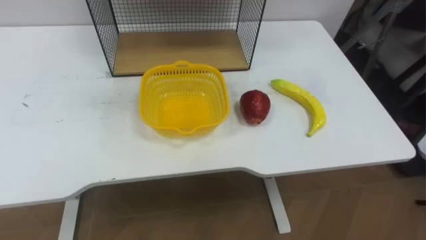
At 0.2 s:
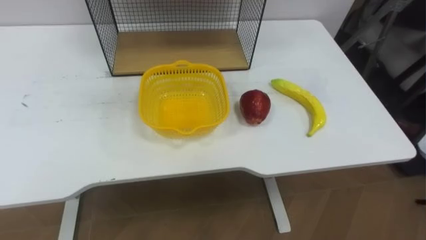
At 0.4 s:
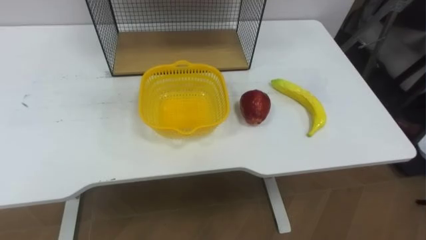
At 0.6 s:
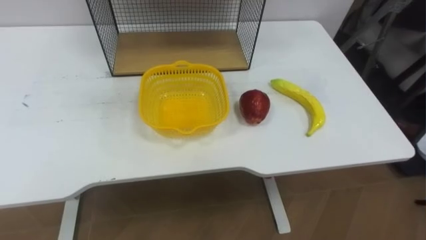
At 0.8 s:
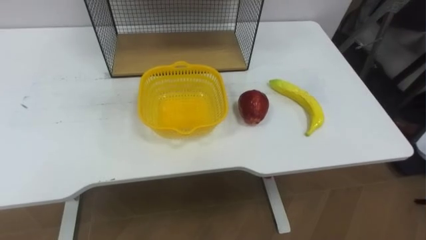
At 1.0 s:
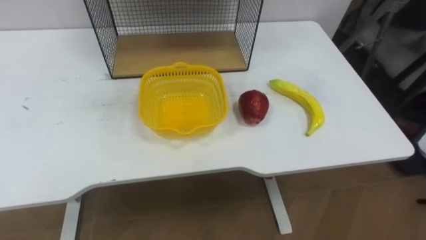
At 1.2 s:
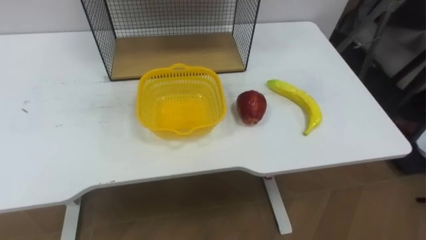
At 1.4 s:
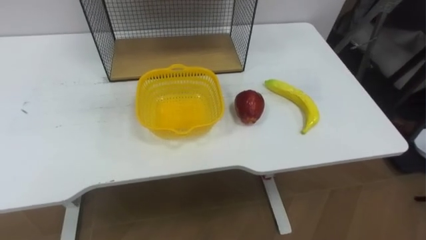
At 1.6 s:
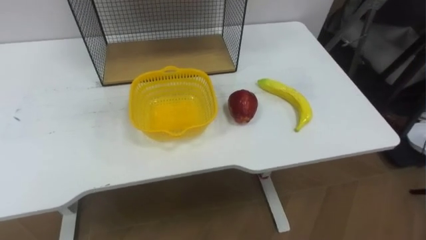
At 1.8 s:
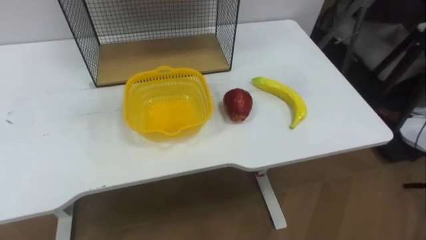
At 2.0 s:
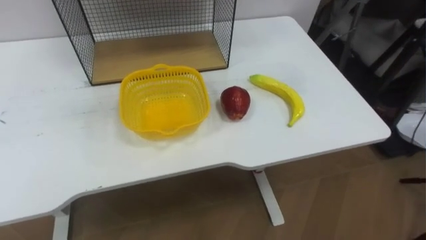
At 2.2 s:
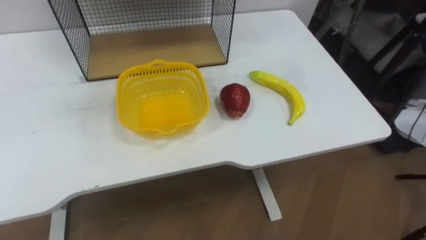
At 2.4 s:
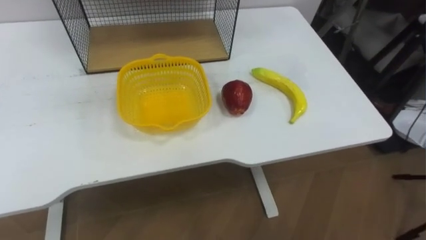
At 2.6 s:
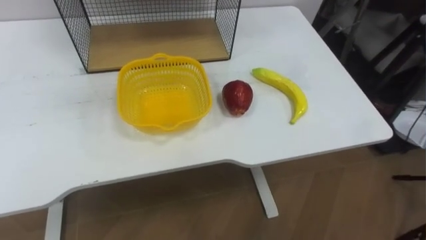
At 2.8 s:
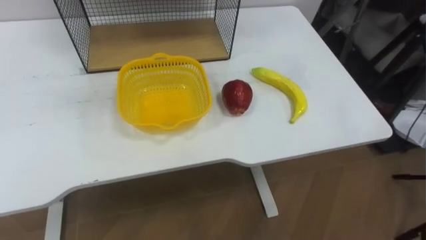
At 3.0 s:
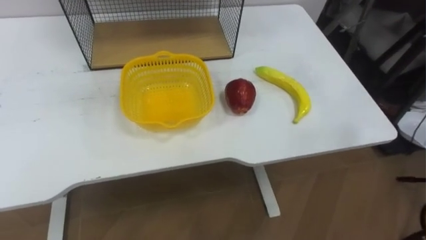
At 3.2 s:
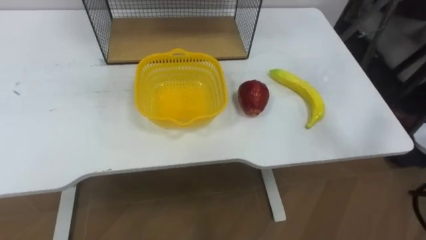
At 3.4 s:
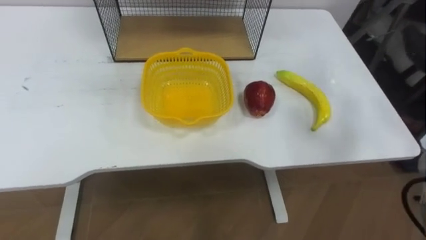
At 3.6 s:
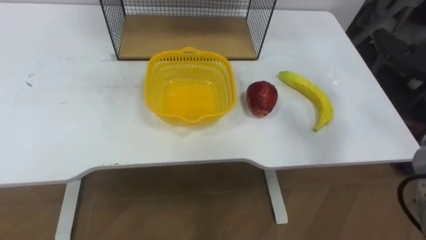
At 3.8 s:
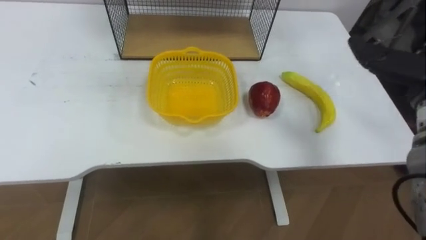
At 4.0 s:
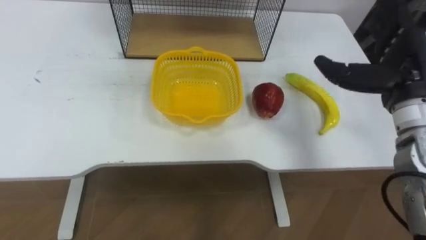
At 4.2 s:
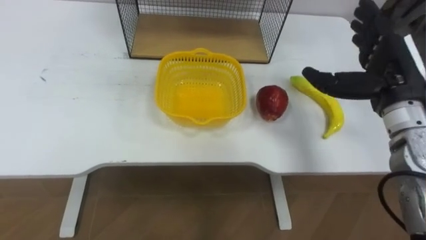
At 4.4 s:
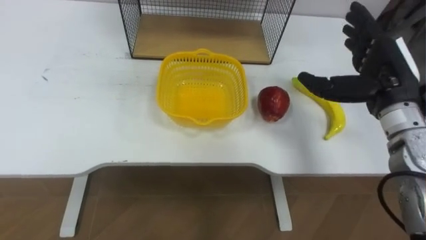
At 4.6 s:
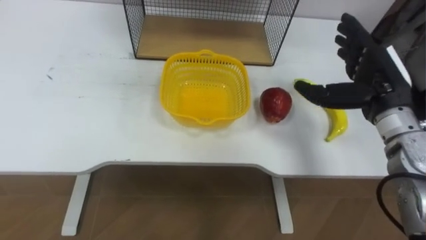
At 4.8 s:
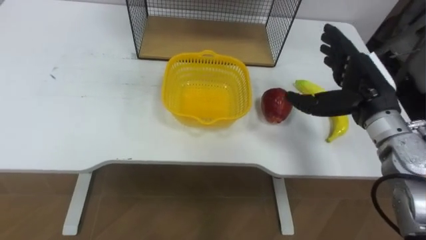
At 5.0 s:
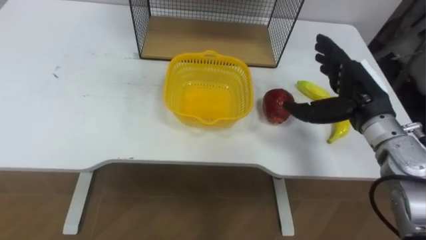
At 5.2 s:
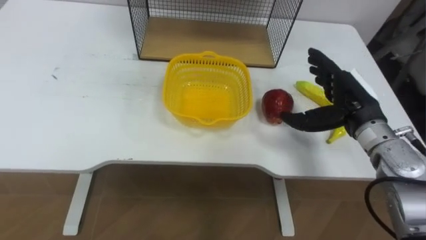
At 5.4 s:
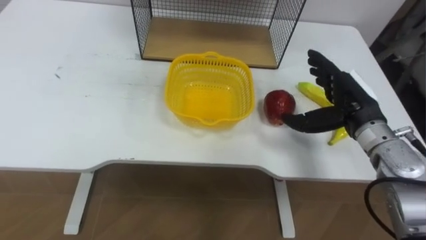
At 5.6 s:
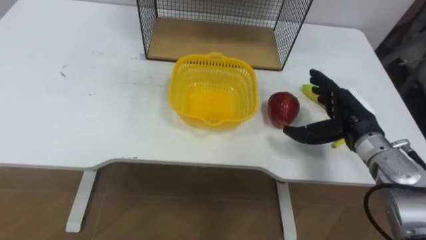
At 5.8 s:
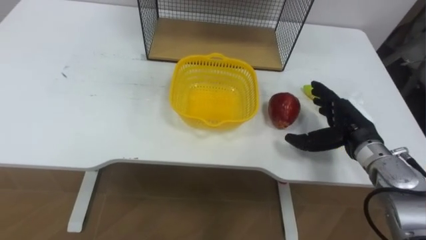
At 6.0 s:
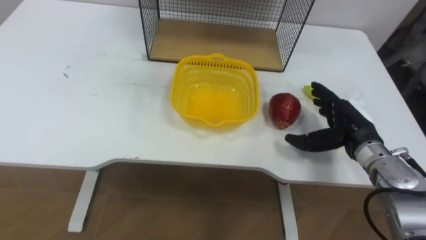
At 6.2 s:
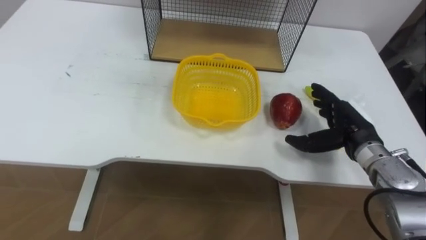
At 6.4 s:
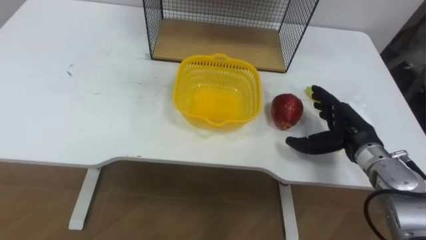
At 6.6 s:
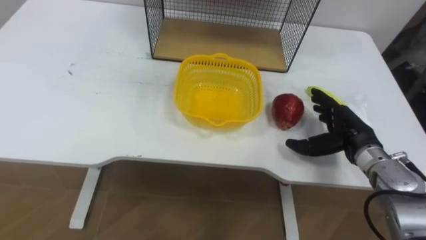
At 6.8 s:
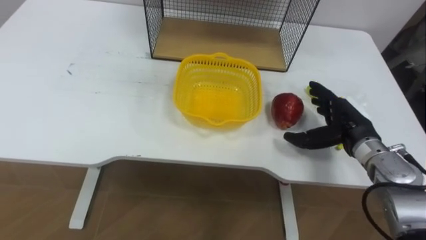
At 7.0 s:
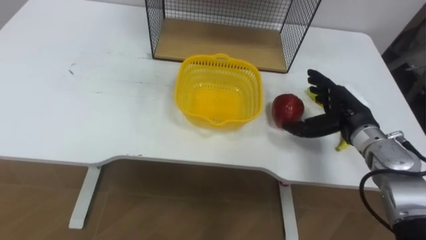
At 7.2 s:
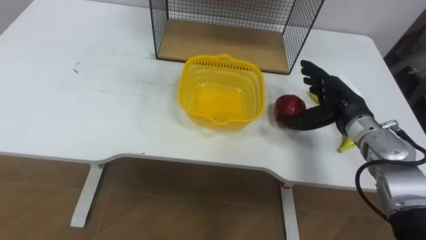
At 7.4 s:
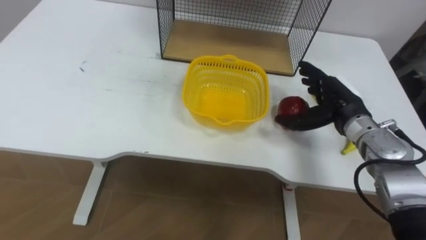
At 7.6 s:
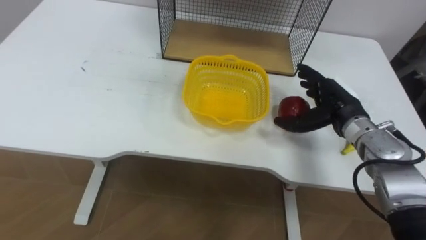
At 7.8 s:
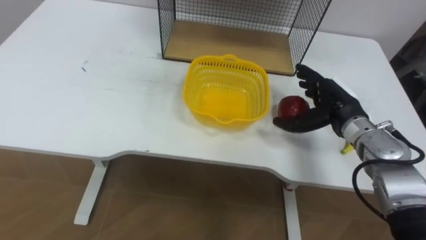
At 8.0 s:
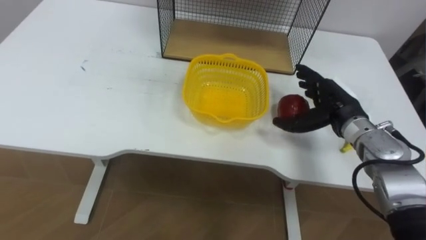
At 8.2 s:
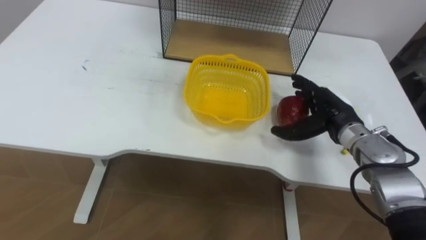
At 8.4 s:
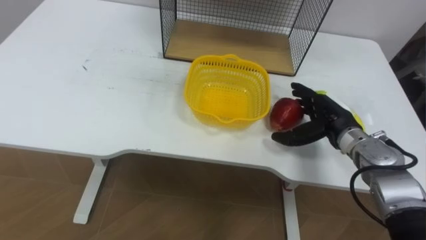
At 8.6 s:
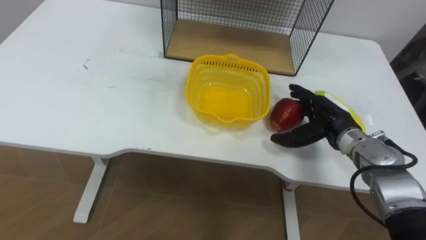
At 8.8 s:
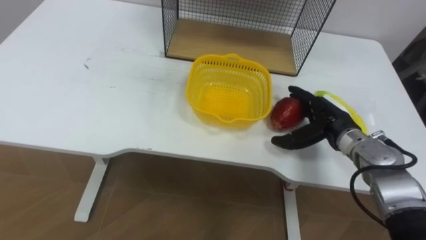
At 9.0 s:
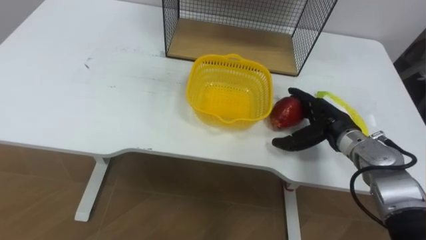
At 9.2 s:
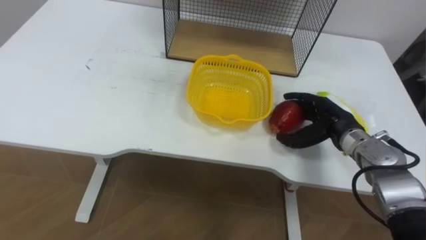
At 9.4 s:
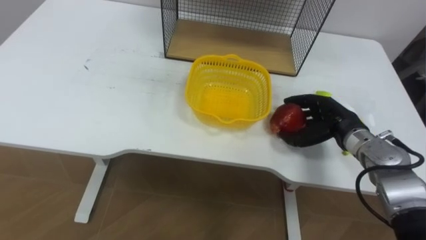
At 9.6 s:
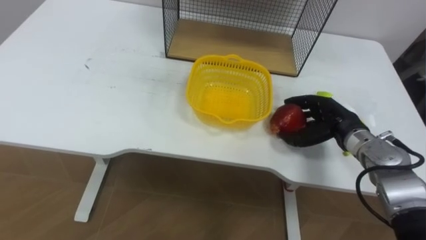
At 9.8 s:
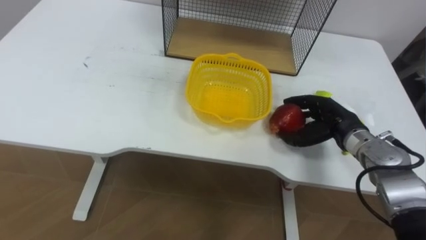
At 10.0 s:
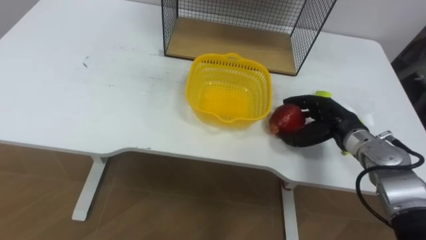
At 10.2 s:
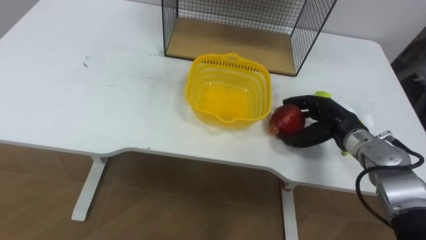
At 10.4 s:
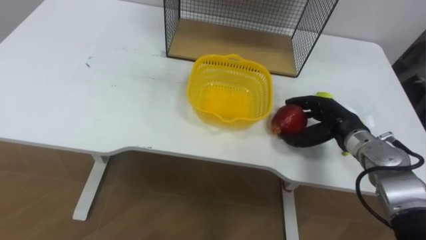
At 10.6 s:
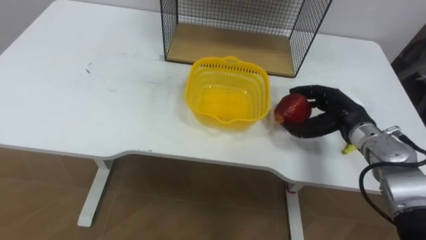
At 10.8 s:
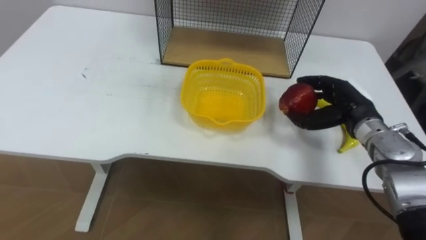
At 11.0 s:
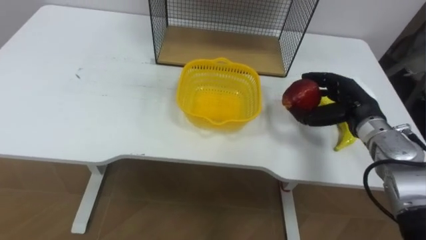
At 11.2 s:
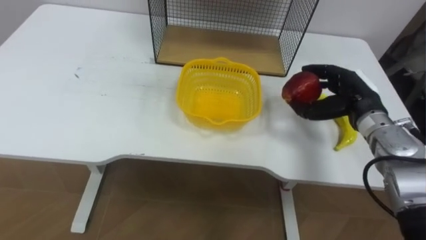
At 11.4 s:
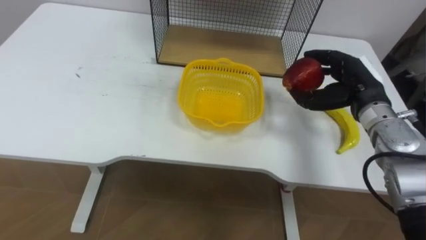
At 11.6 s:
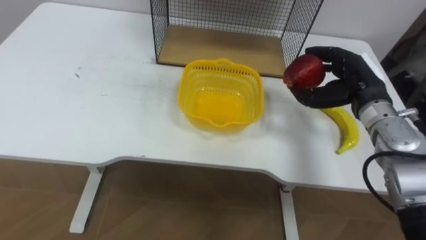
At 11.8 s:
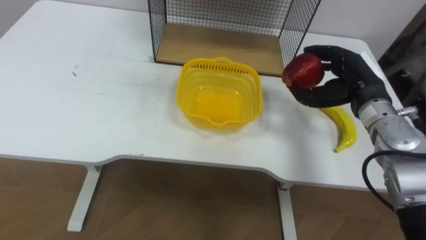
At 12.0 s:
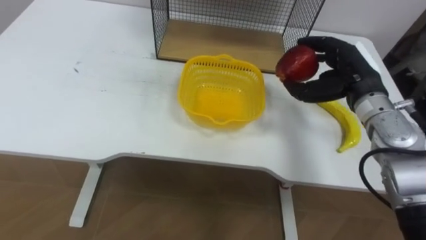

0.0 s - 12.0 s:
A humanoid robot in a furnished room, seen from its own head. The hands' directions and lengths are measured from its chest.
Task of the whole recording: Put the fruit on the table into the basket, then place the basket on the shelf.
4.4 s - 6.0 s: The right hand travels downward by approximately 10 cm.
6.0 s - 7.6 s: The right hand ends up some 5 cm from where it was.
9.0 s - 10.4 s: The right hand closes up.
10.4 s - 12.0 s: The right hand is displaced upward by roughly 10 cm.

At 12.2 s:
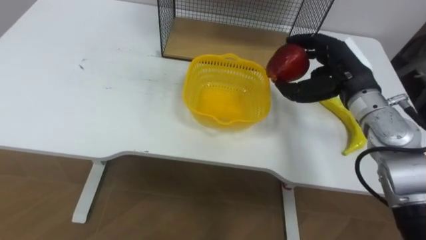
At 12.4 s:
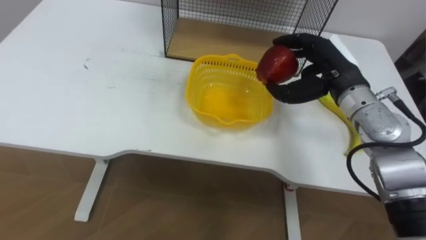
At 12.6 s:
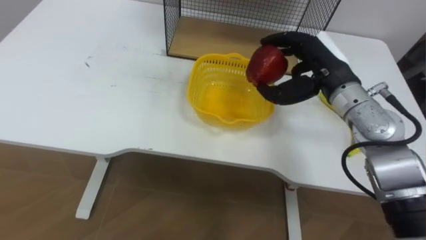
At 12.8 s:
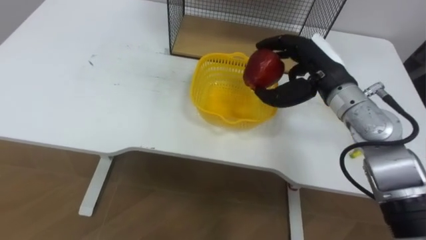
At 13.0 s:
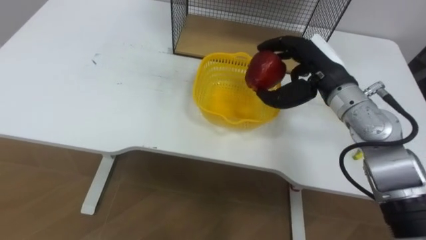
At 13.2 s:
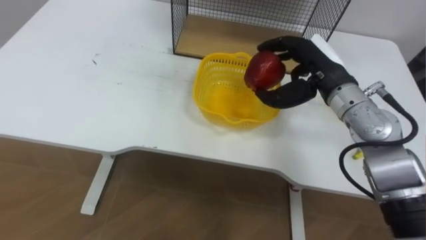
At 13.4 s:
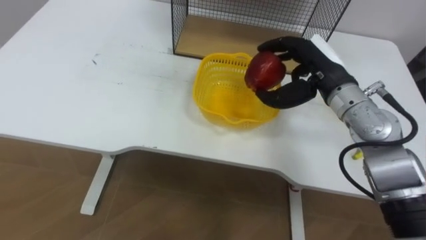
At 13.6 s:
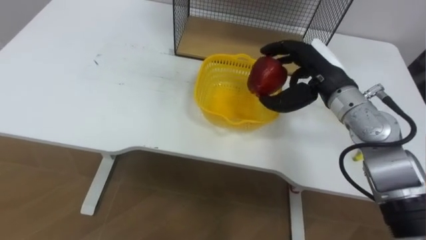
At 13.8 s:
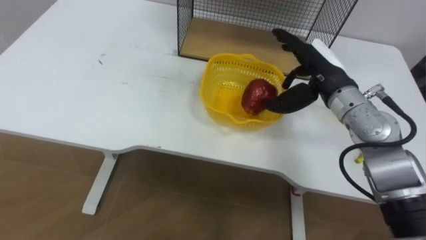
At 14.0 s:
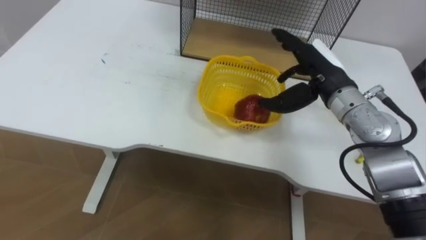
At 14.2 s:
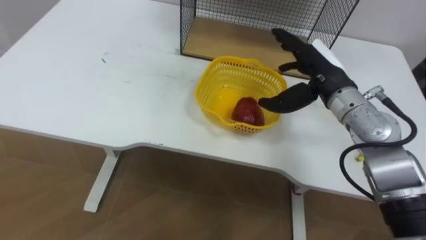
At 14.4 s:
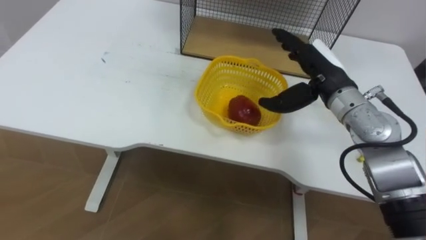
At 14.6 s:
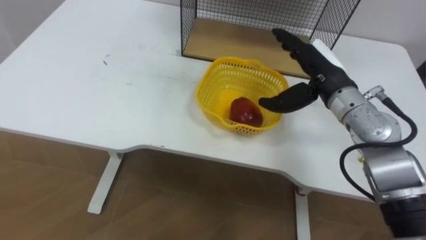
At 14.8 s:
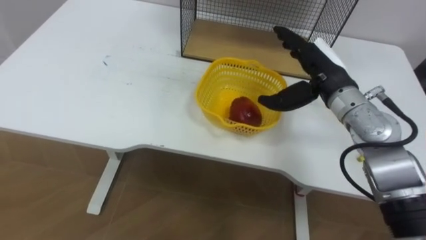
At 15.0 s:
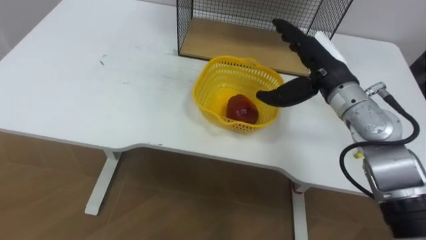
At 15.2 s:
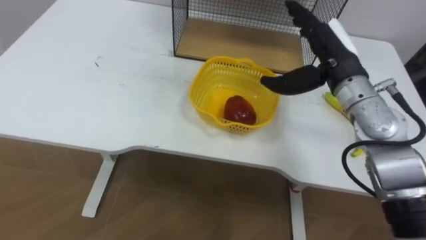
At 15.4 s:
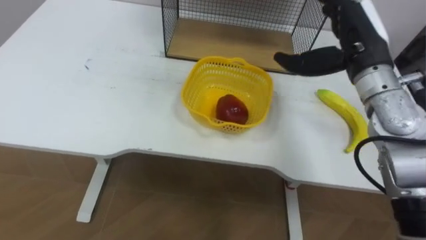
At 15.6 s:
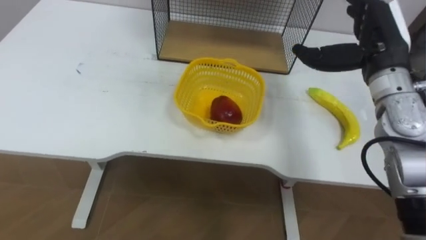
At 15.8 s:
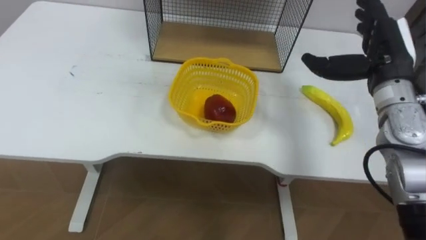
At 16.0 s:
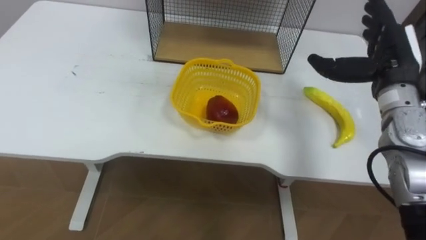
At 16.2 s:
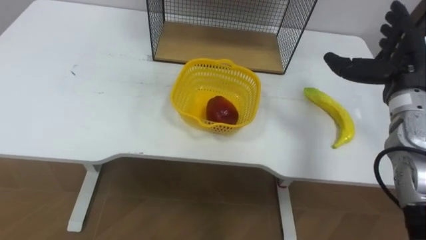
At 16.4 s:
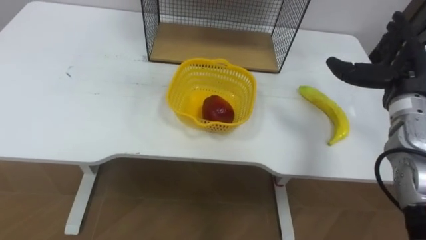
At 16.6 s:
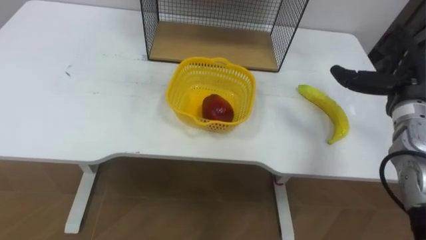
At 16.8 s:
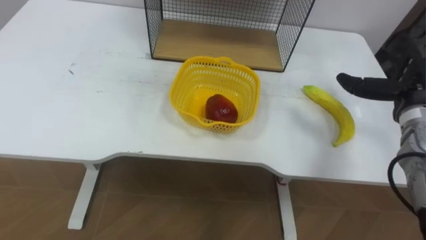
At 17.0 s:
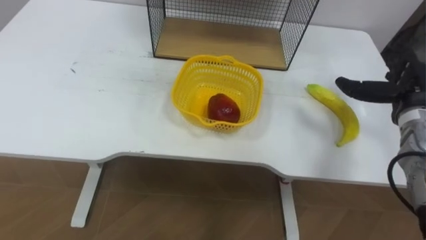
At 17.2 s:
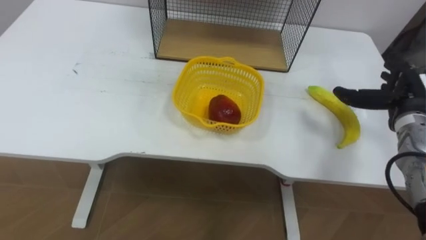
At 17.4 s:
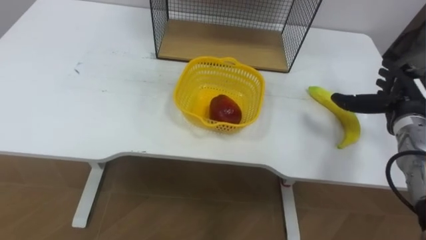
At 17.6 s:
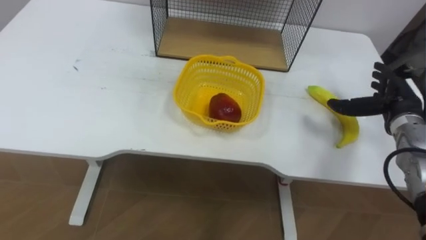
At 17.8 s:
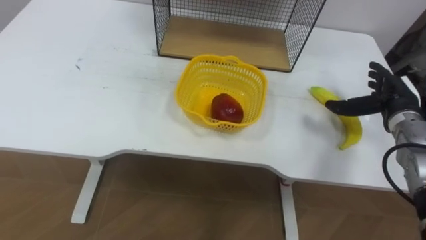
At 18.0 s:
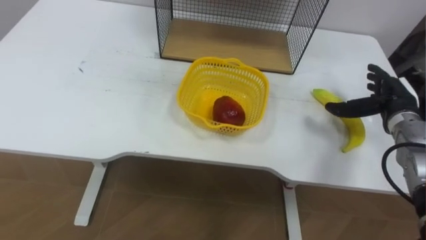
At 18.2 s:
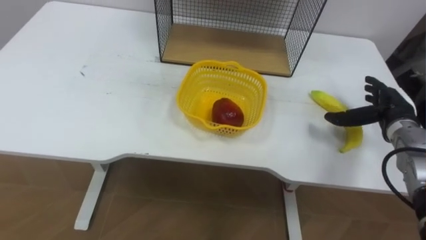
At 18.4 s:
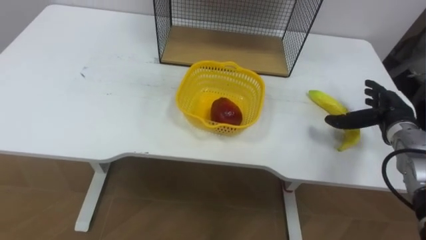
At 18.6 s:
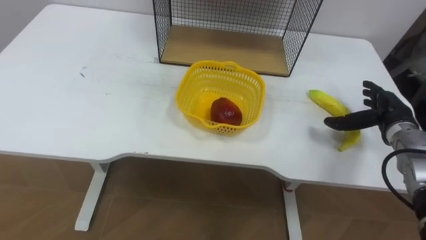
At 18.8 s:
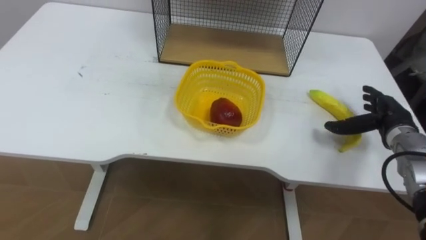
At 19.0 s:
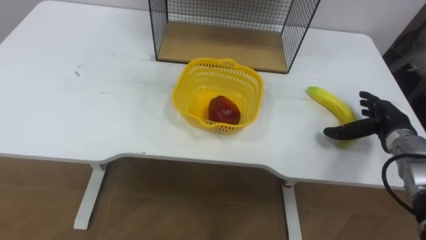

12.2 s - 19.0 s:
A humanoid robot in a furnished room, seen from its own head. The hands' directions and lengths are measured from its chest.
Task of the whole recording: Put the fruit on the table into the basket, then place the basket on the shelf.
13.6 s - 15.0 s: The right hand opens its fingers.
15.0 s - 16.2 s: The right hand goes roughly 10 cm to the right.
16.2 s - 17.6 s: The right hand travels downward by approximately 10 cm.
